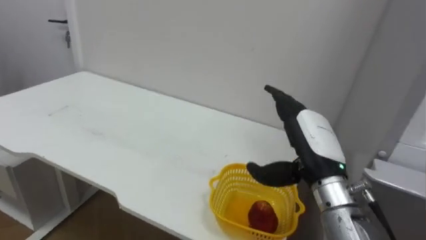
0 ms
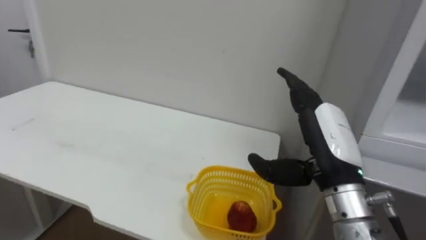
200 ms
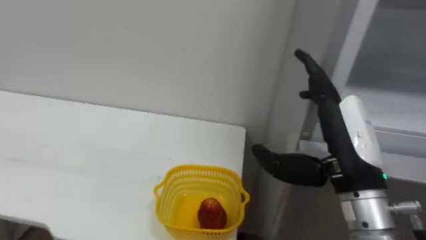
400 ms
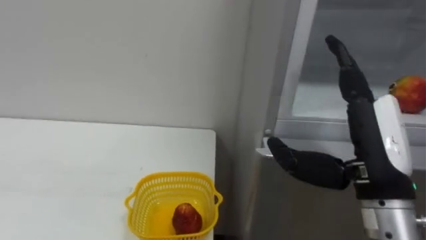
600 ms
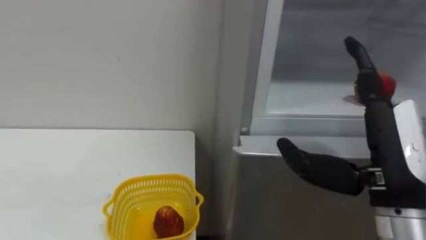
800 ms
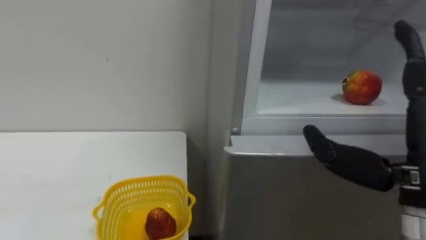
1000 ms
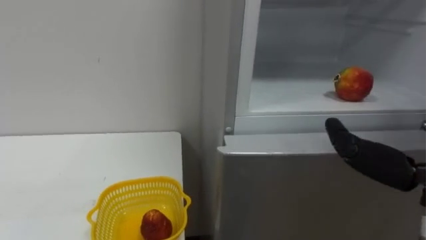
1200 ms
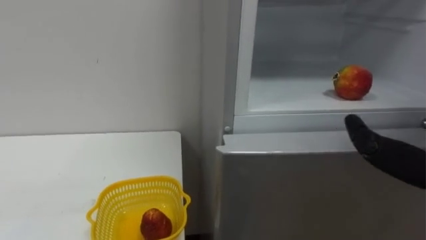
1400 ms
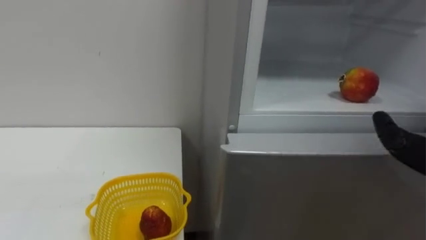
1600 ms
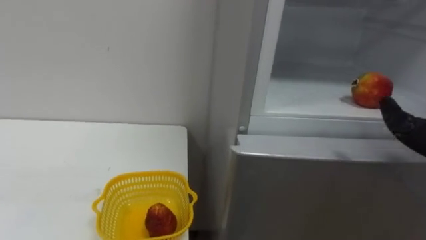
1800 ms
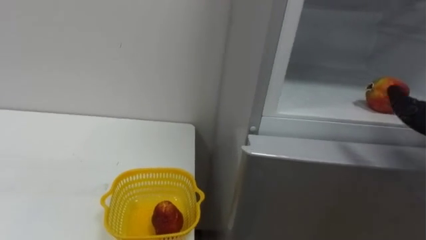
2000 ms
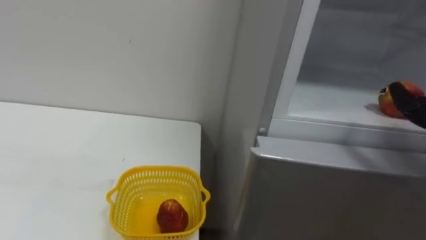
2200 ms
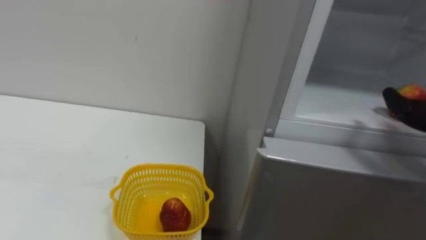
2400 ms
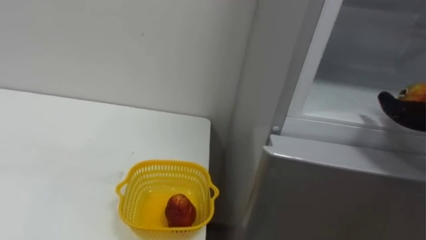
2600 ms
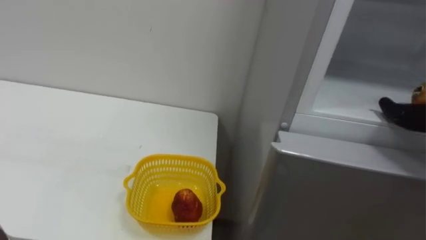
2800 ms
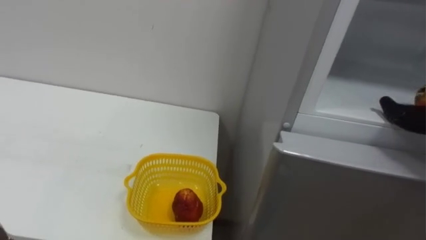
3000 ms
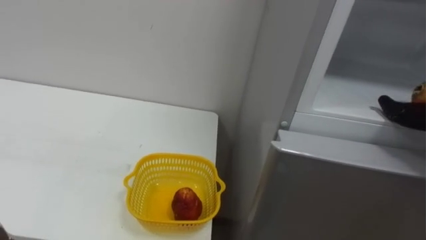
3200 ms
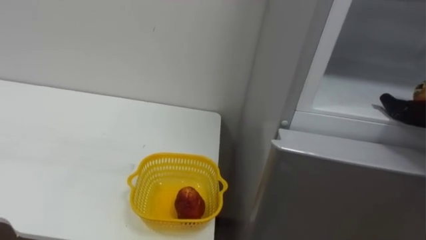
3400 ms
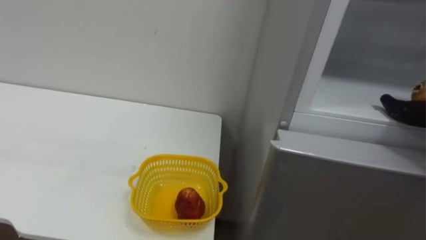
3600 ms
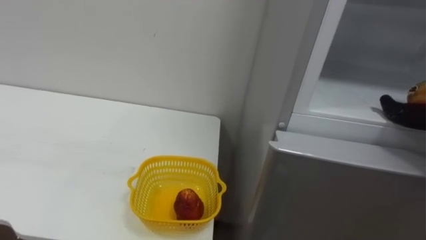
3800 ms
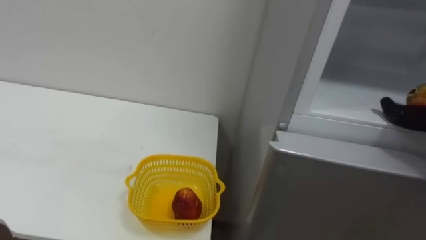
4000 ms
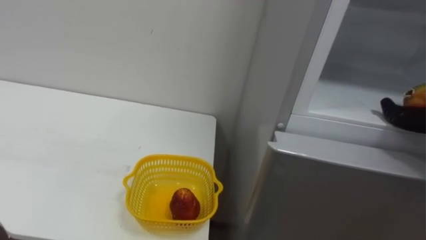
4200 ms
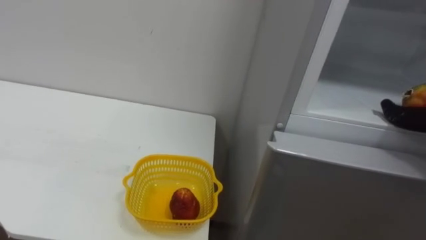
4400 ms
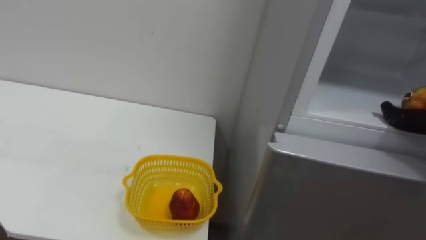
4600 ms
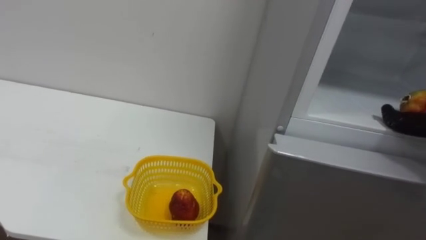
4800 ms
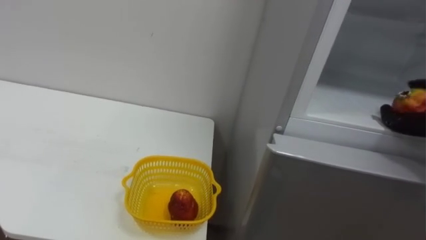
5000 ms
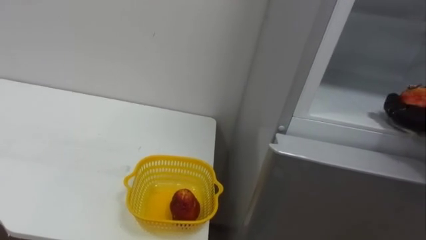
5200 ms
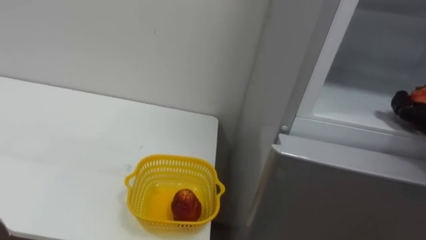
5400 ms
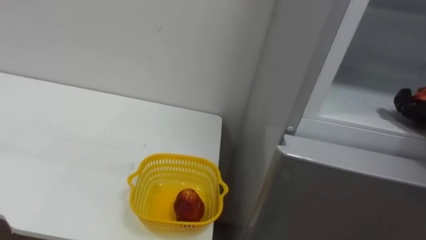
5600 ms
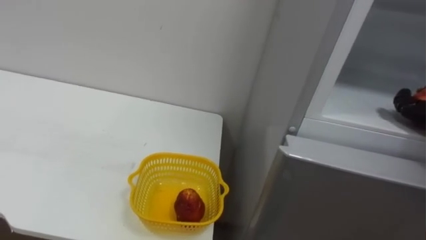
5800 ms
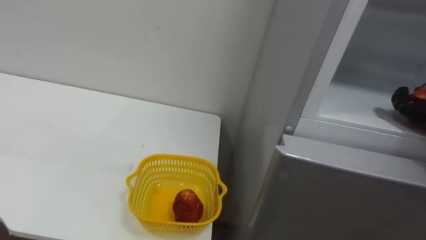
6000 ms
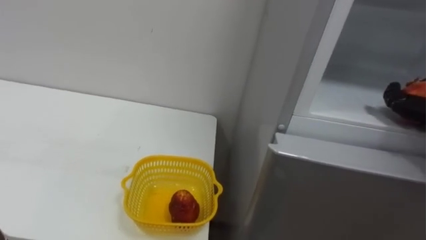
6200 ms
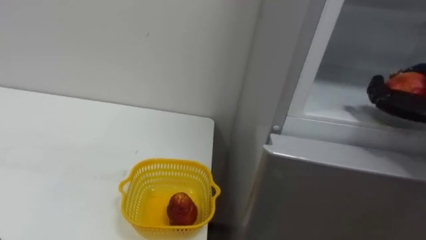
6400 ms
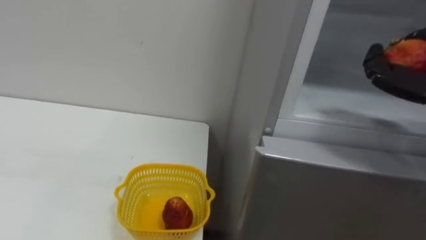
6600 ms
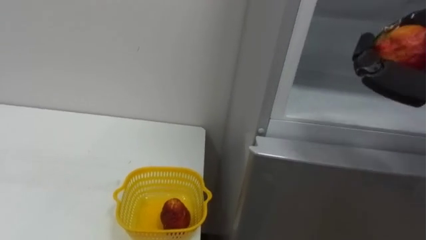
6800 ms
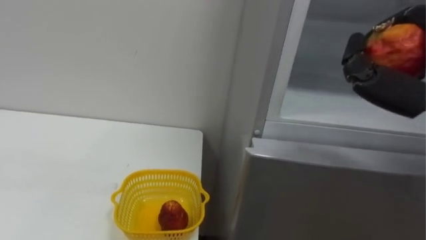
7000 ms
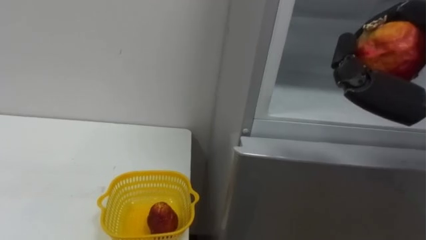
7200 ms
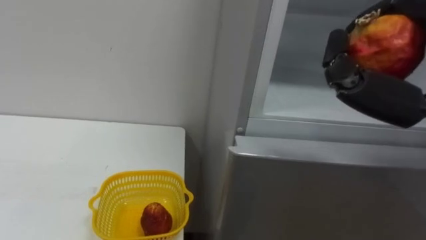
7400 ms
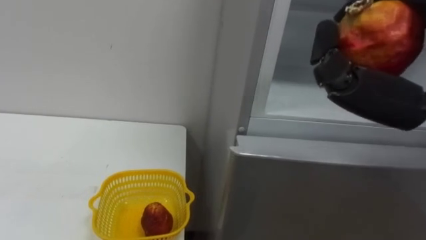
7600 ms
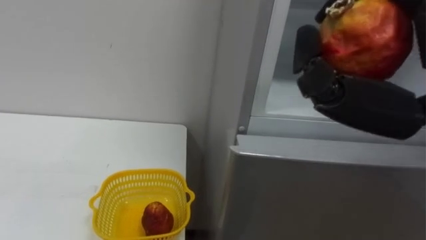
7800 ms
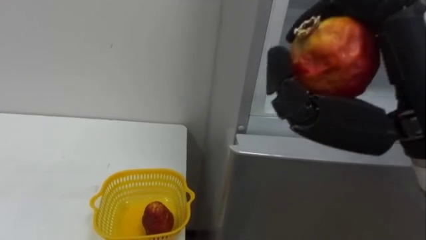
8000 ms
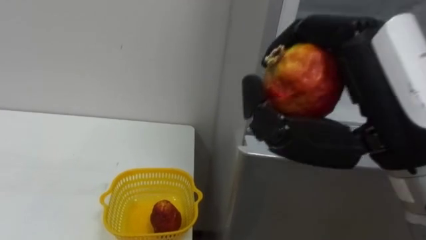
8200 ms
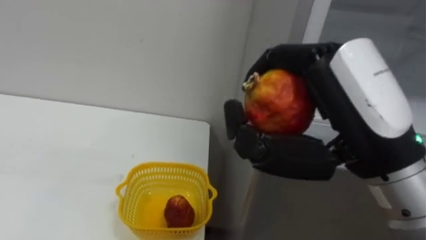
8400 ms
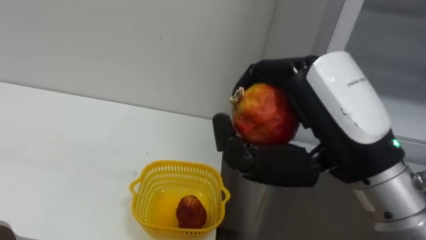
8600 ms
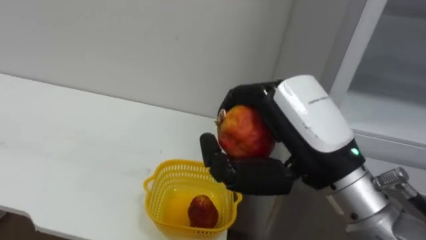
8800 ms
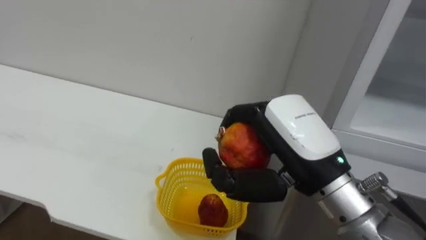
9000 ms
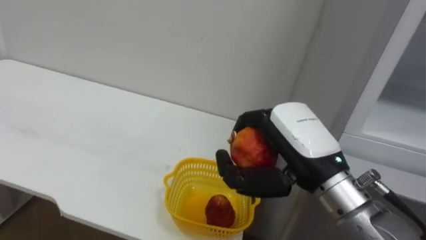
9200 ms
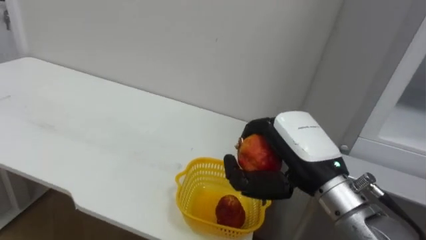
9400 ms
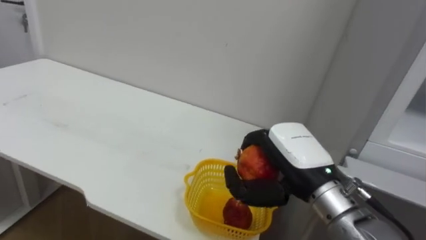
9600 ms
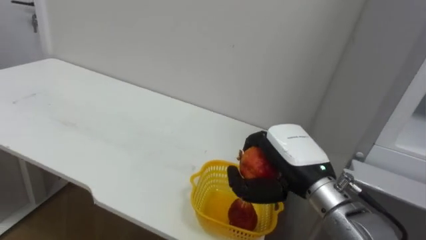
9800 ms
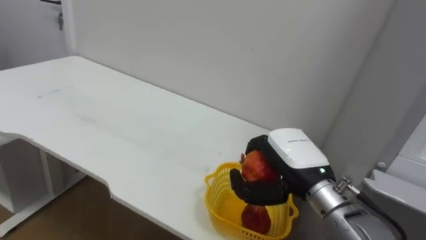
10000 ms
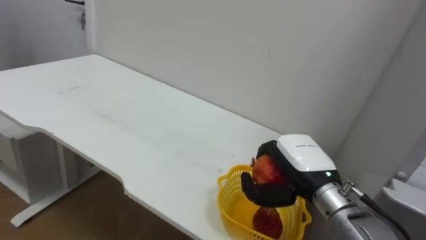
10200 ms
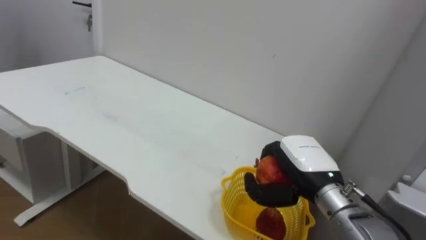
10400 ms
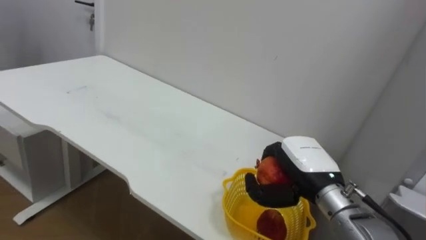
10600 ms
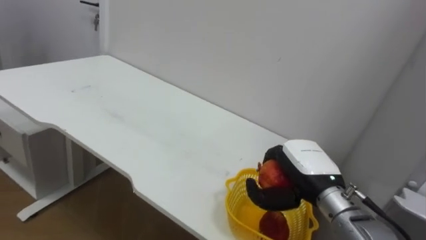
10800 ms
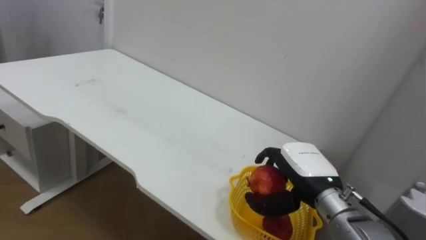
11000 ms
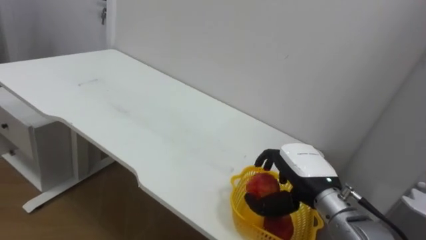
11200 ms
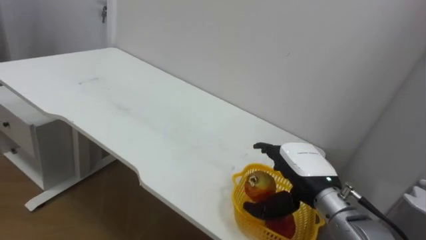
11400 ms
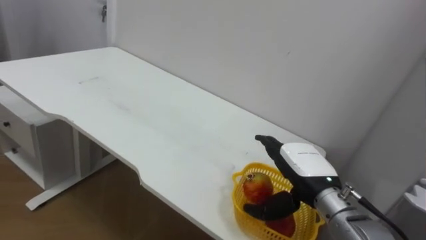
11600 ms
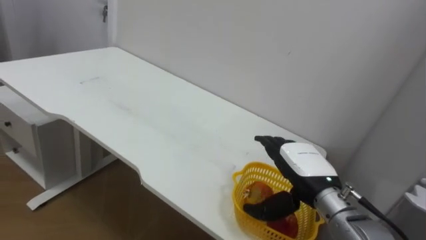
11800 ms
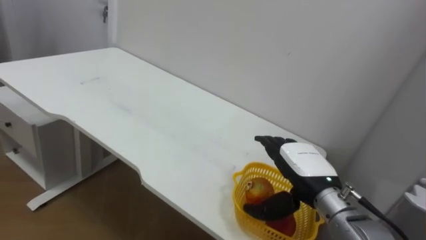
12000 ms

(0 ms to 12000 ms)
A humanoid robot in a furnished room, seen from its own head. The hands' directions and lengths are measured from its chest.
Task of the whole recording: Open the refrigerator door, take out the apple and the pomegranate, place them in the fruit basket on the left, and close the refrigerator door.
9000 ms - 10400 ms: The right hand is displaced downward and forward by roughly 15 cm.
10400 ms - 12000 ms: The right hand opens its fingers.

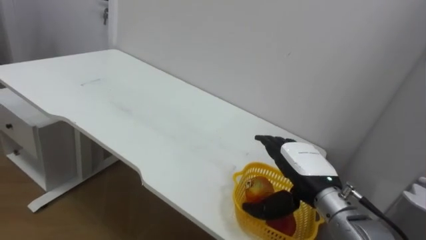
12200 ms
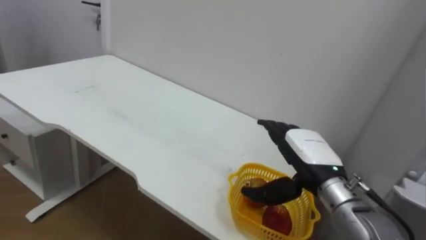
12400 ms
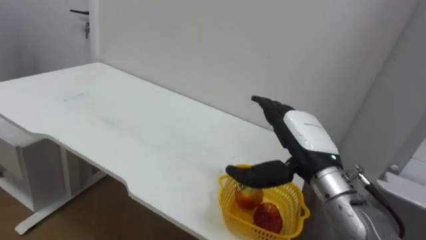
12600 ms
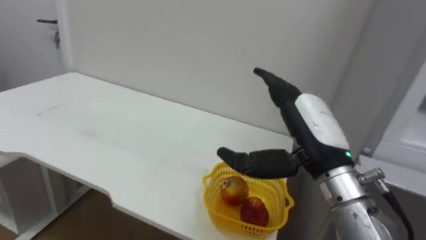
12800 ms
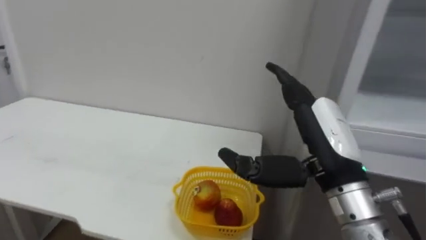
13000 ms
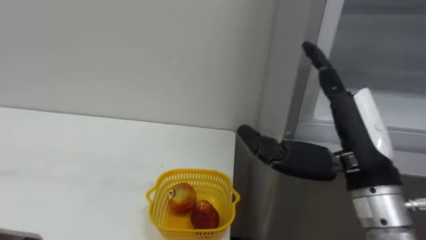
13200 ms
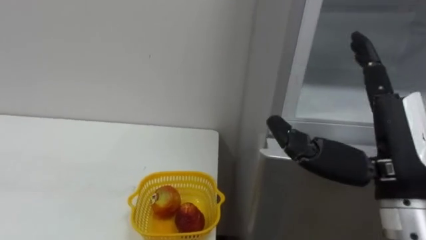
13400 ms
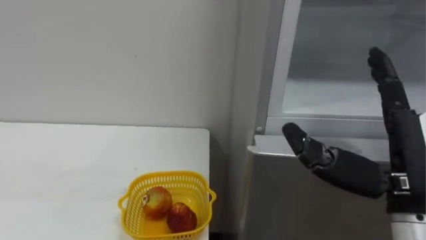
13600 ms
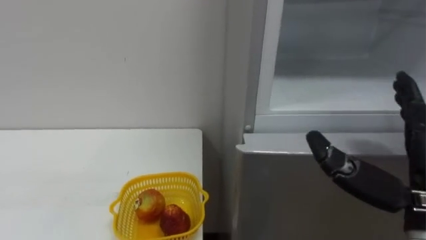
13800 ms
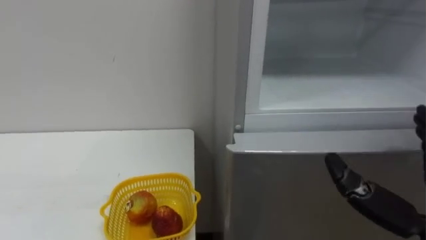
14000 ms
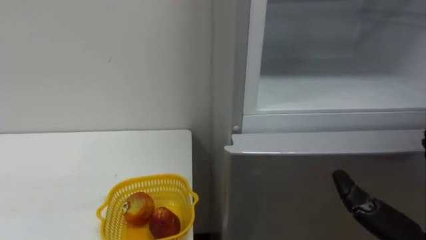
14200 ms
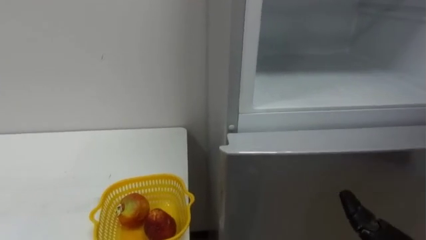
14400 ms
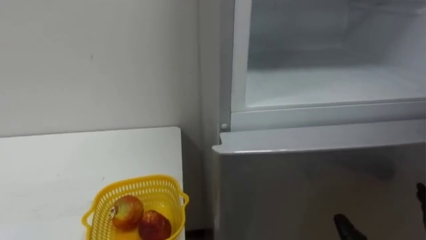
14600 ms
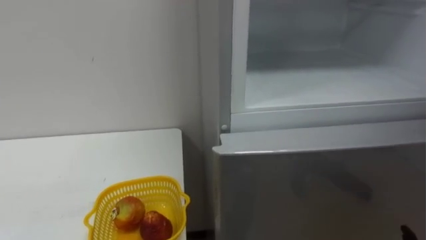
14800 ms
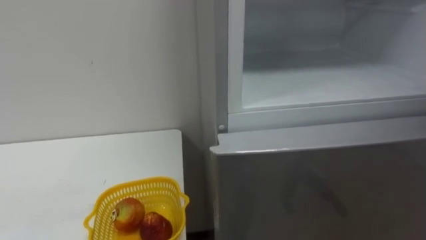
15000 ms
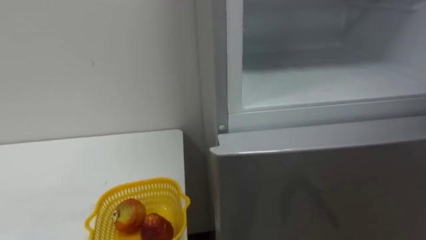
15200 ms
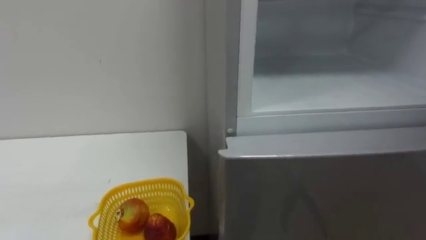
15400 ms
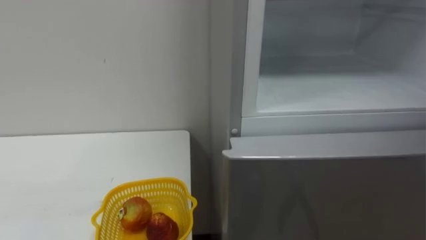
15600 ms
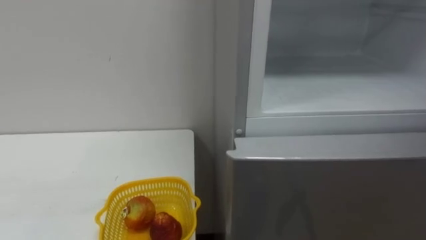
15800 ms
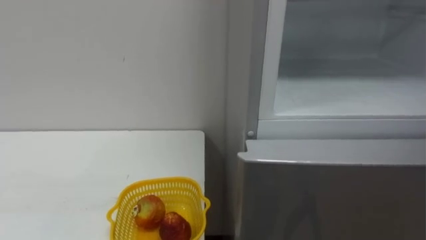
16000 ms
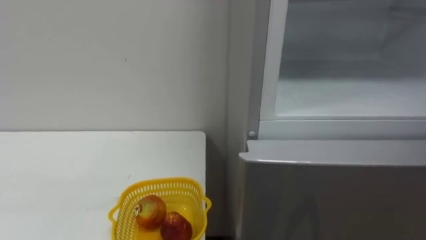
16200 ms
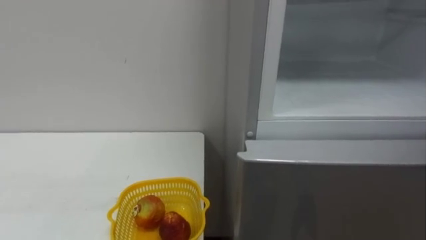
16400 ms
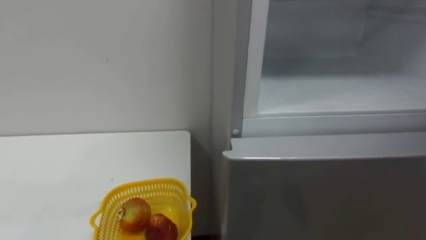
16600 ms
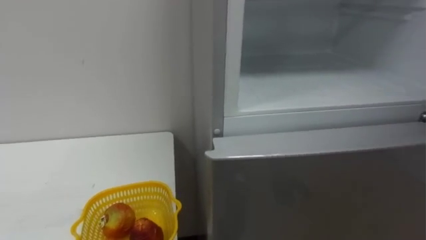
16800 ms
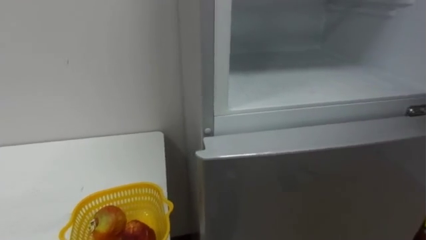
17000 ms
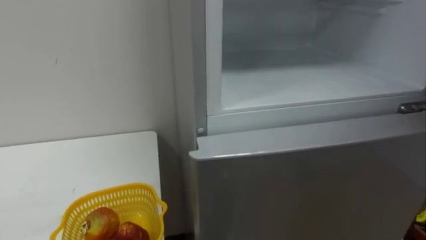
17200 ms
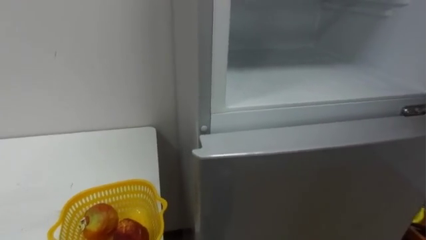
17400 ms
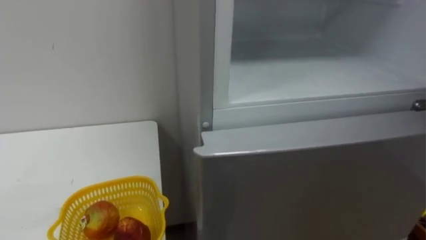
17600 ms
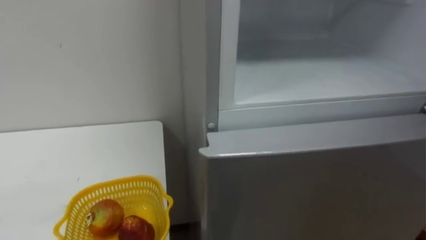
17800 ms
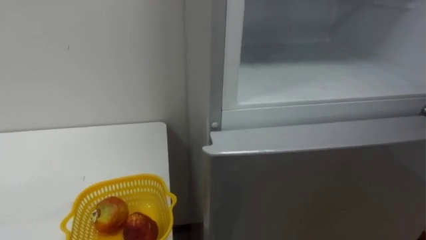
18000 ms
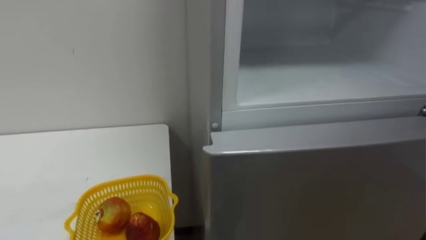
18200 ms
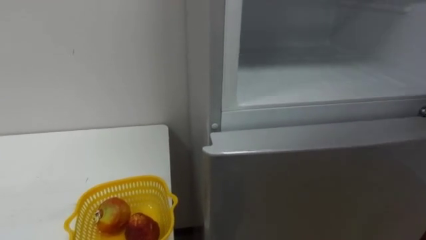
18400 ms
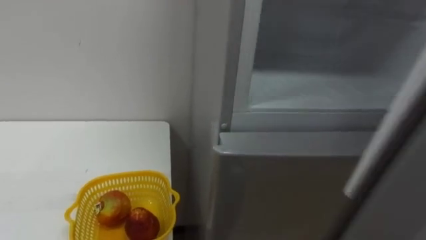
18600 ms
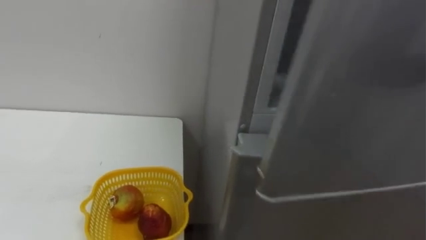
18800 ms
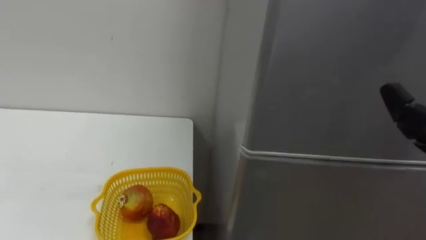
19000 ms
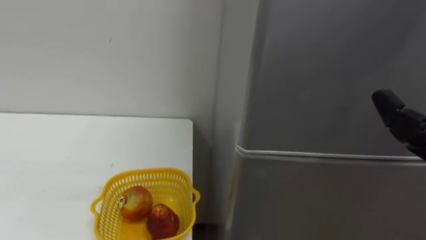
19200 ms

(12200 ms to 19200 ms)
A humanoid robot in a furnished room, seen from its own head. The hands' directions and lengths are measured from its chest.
Task of the whole recording: Open the refrigerator door, take out the apple and the pomegranate, place them in the fruit basket on the left, and close the refrigerator door.
12200 ms - 13600 ms: The right hand heads upward, backward and to the right, covering roughly 20 cm.
